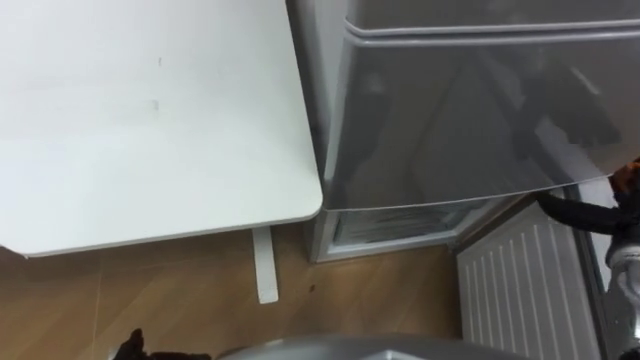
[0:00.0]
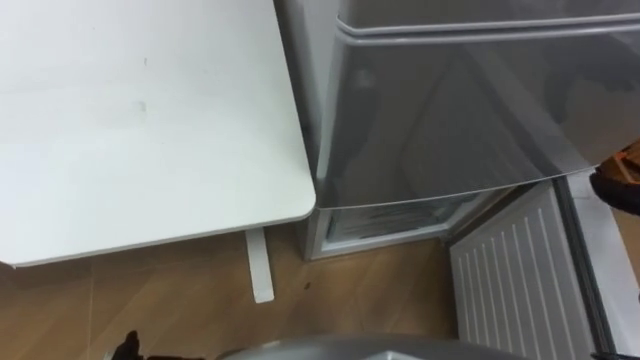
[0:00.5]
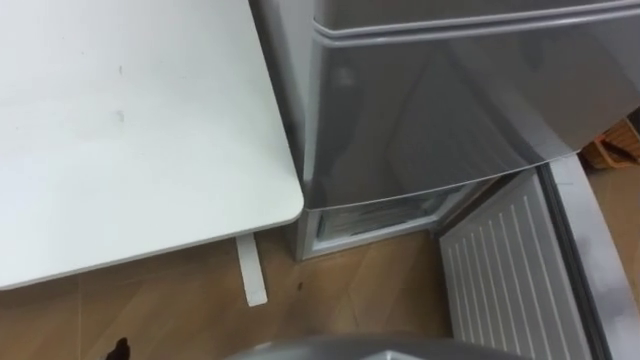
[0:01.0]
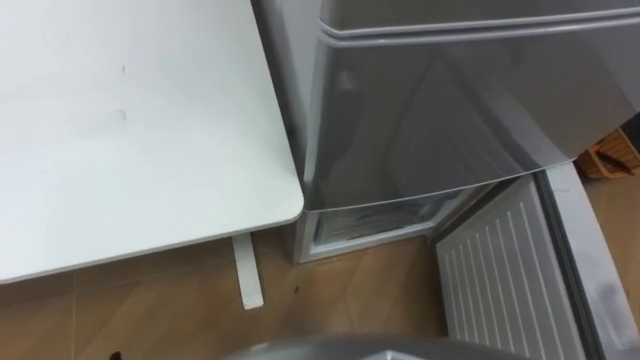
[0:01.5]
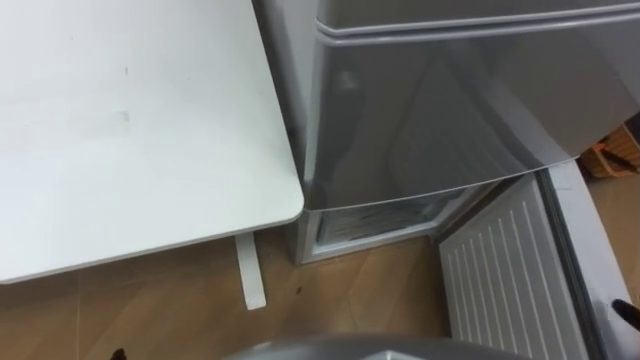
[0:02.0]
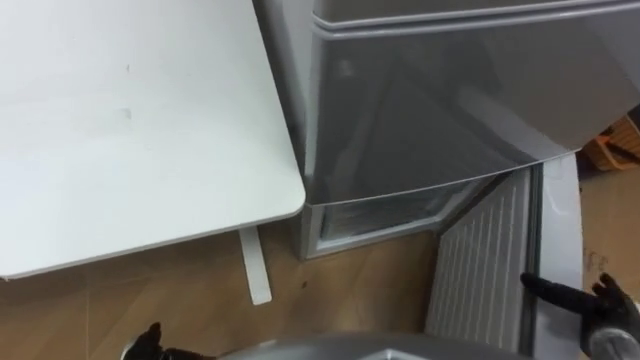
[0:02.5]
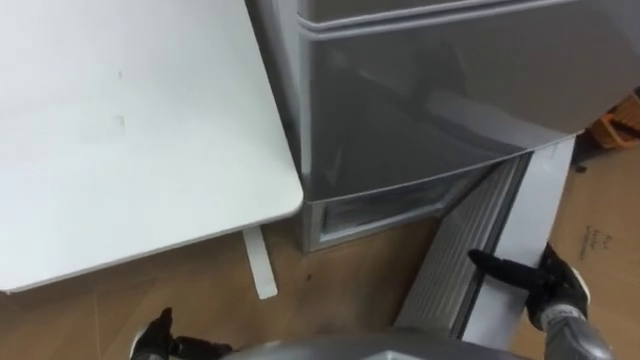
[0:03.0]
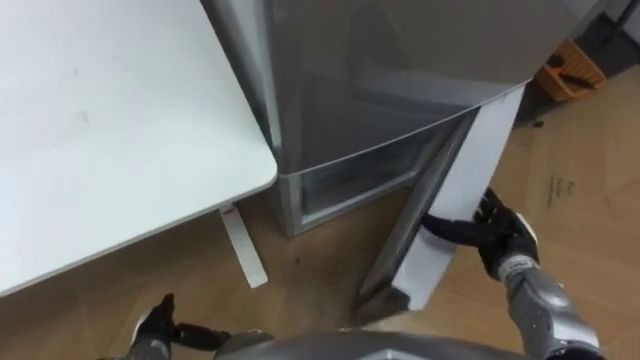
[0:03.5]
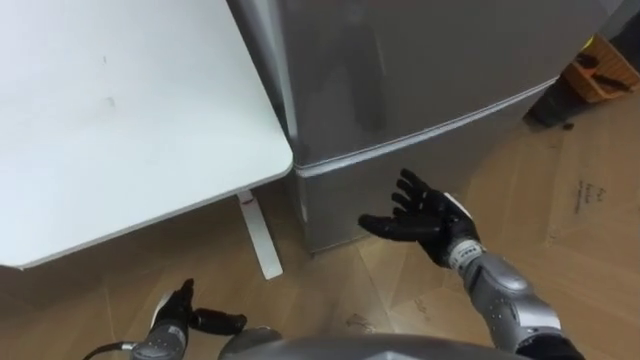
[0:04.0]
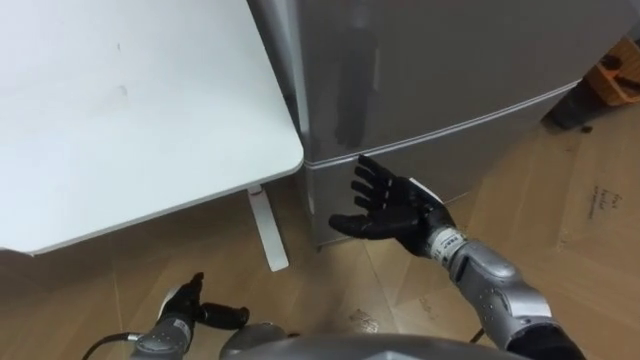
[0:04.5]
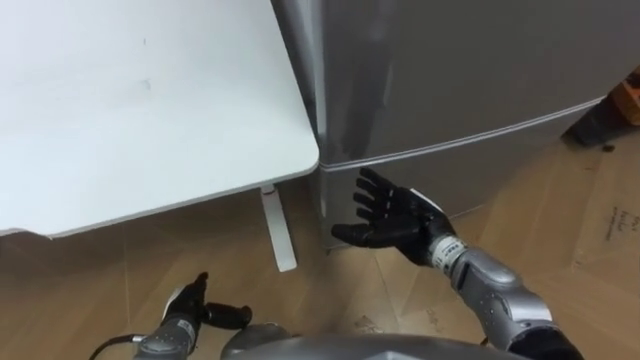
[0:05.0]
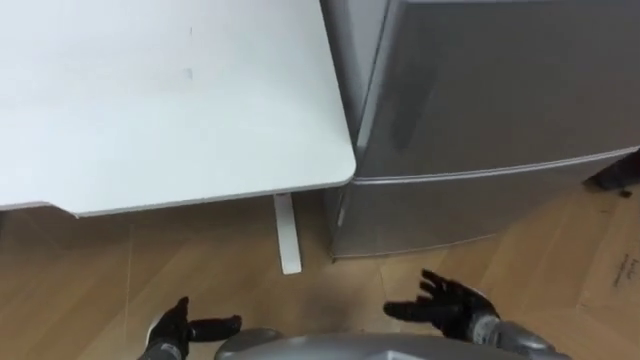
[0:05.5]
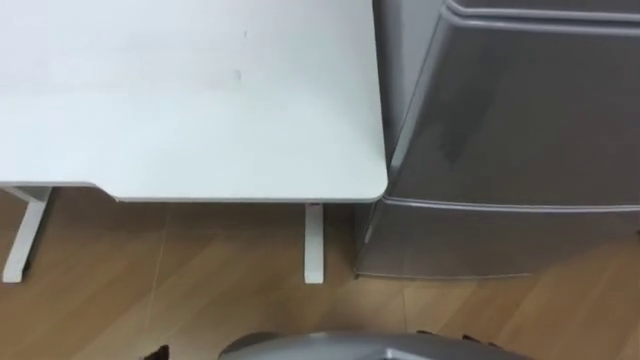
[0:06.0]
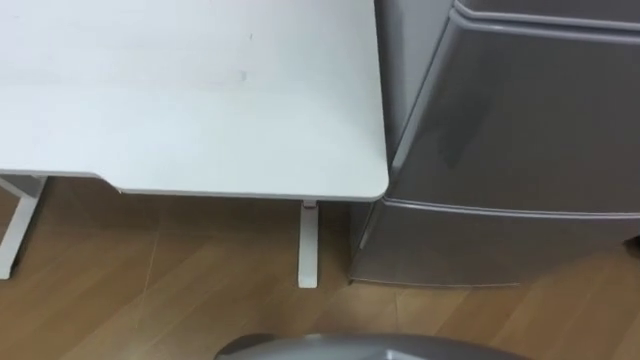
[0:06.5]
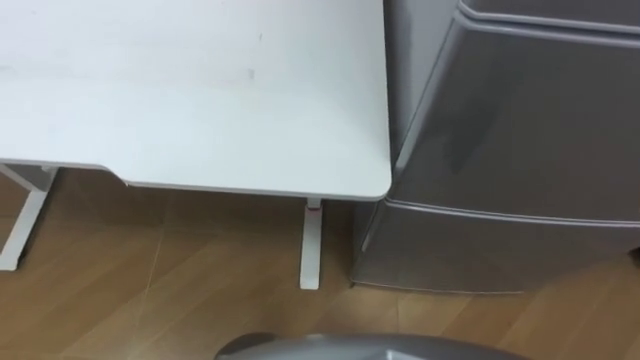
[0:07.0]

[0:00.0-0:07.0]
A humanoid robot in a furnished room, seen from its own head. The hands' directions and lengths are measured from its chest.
Task of the whole recording: Place the drink on the table on the bottom shelf of the refrigerator, then close the drawer and the refrigerator door.
0:03.5 to 0:05.0: The left hand shifts by roughly 5 cm. The right hand travels to the left by some 15 cm.
0:05.0 to 0:07.0: The robot turns to its left by about 20 degrees.

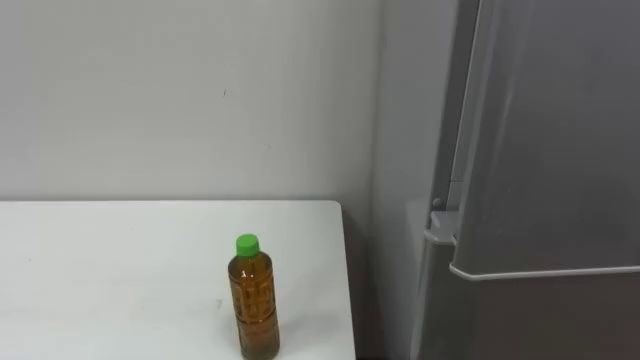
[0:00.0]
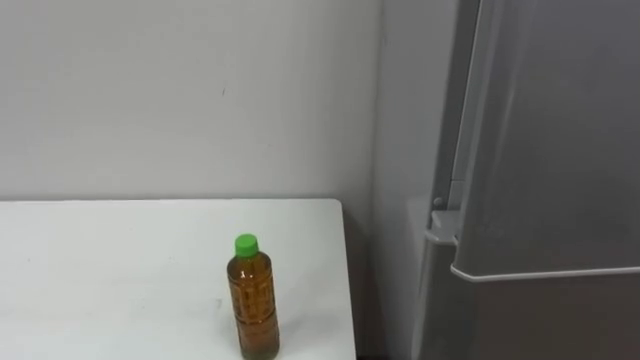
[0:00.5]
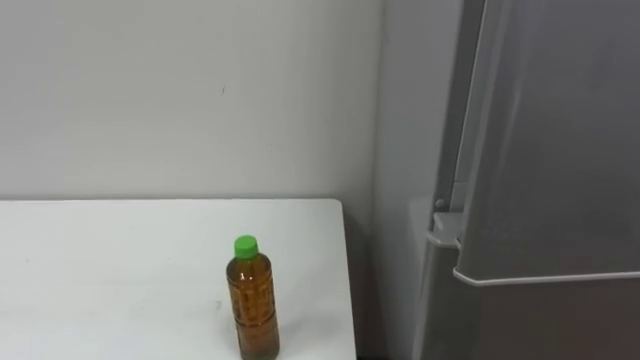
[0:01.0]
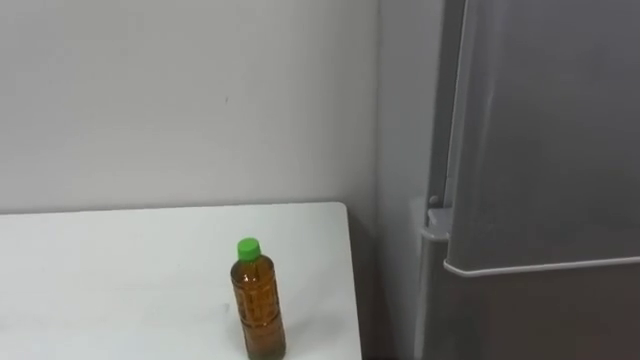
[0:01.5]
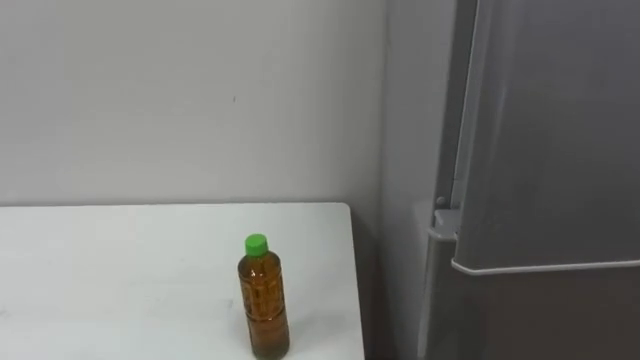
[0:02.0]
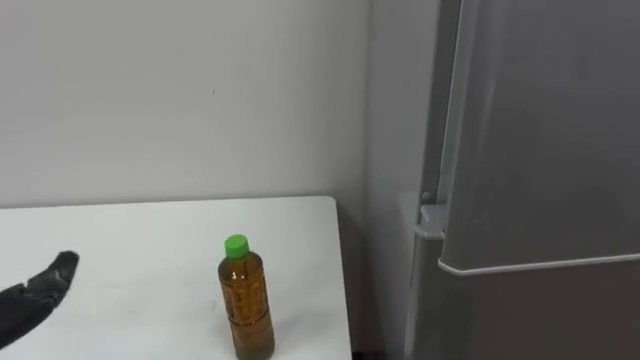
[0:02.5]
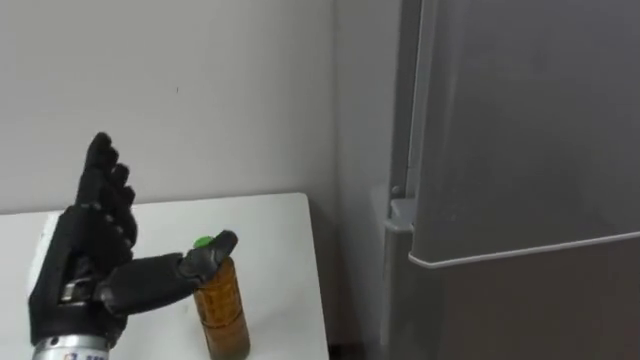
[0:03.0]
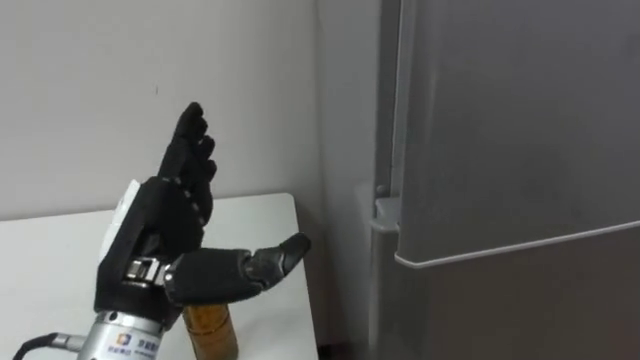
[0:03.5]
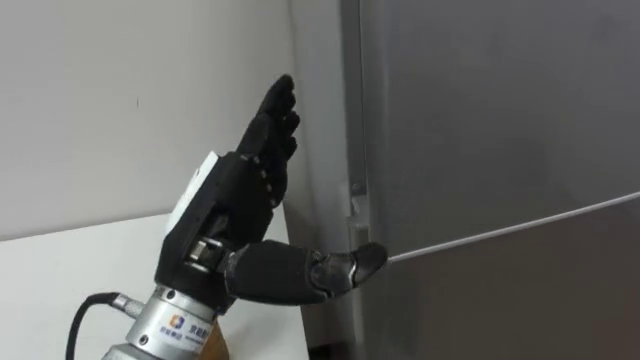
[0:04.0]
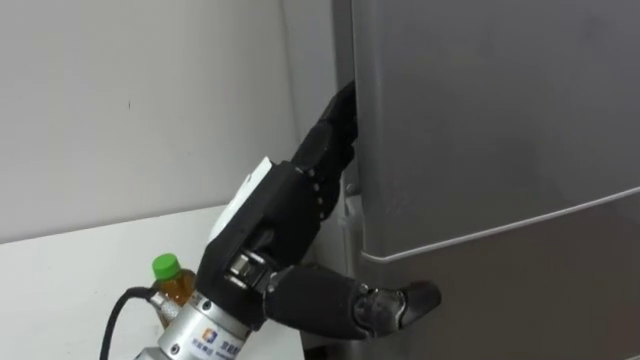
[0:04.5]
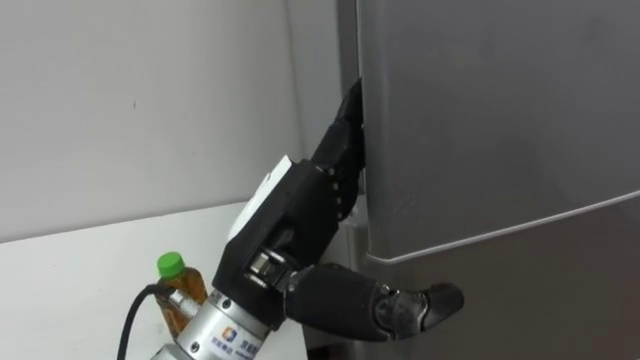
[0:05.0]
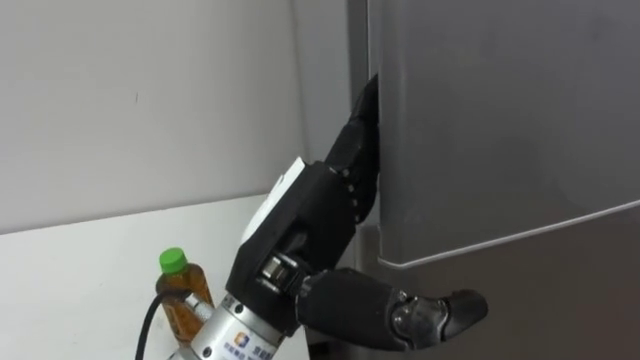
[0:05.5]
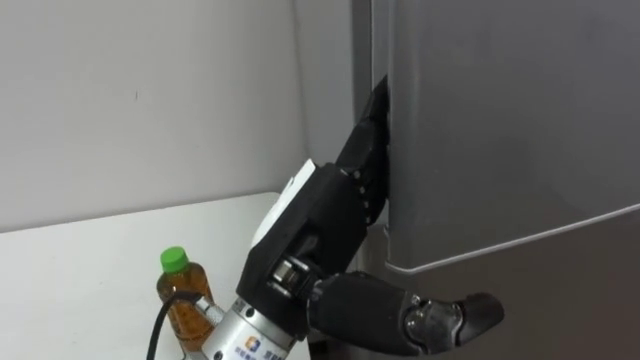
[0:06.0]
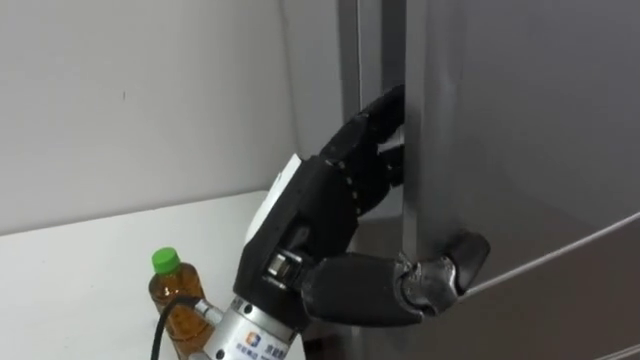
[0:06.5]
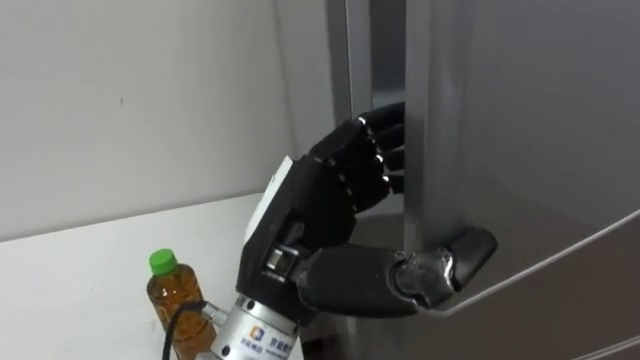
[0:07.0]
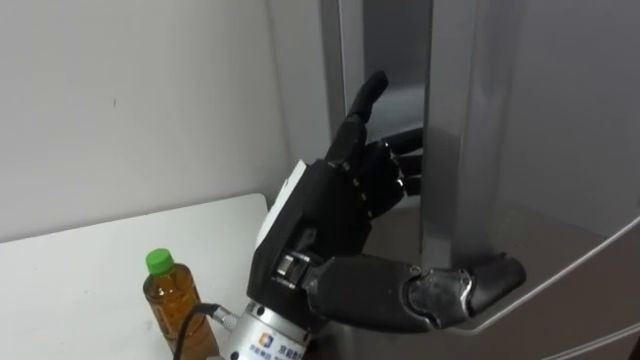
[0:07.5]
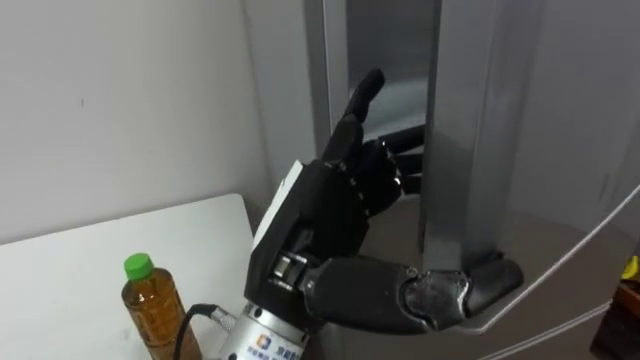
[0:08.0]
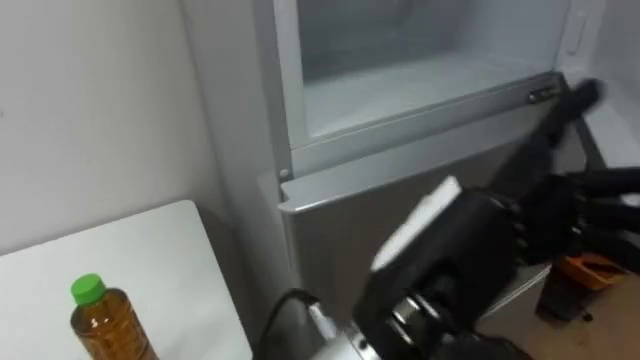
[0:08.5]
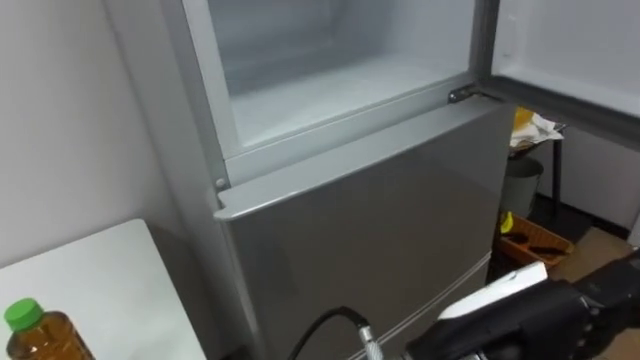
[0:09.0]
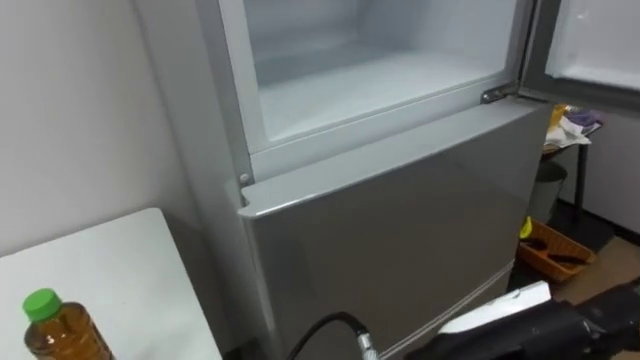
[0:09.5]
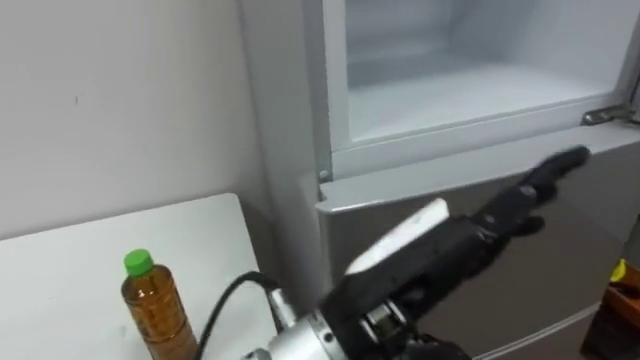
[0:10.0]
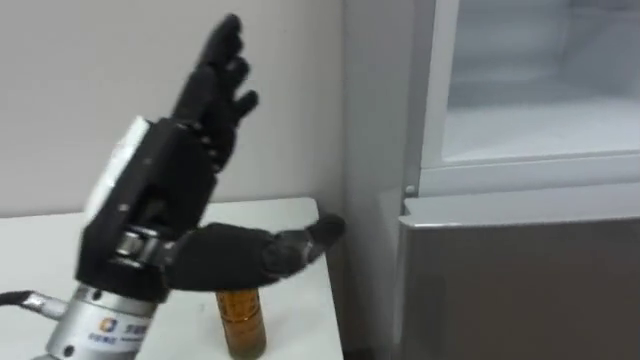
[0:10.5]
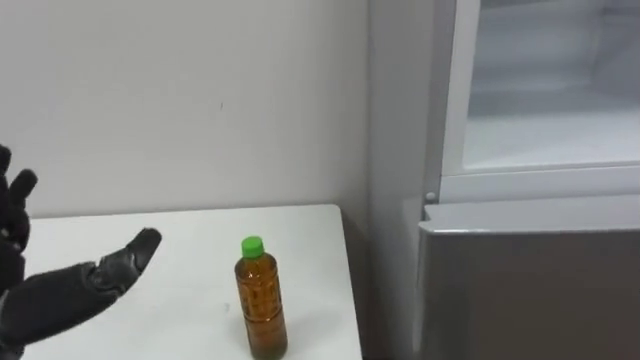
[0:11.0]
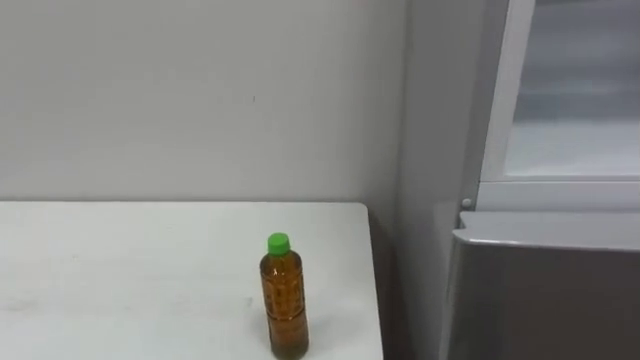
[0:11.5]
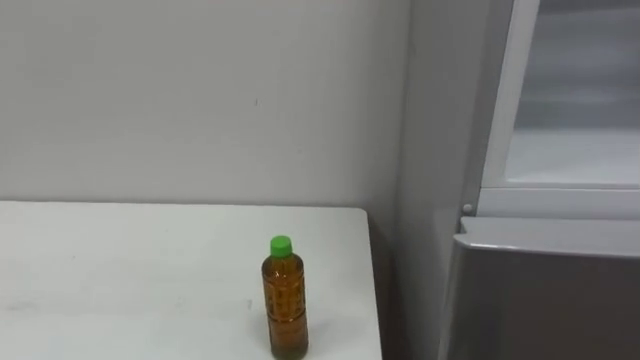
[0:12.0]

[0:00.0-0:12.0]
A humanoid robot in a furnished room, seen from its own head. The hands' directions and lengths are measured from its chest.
Task of the whole recording: Open the upper refrigerator door, put the drink from the table into the refrigerator, and then close the refrigerator door.
0:04.0 to 0:06.0: The left hand moves to the right, some 10 cm.
0:06.0 to 0:08.0: The left hand closes and opens again.
0:08.0 to 0:10.0: The left hand travels to the right by about 5 cm.

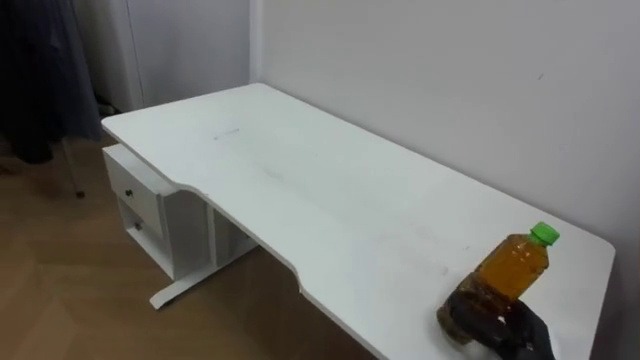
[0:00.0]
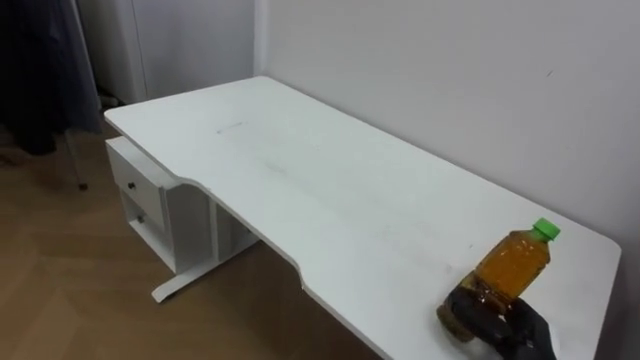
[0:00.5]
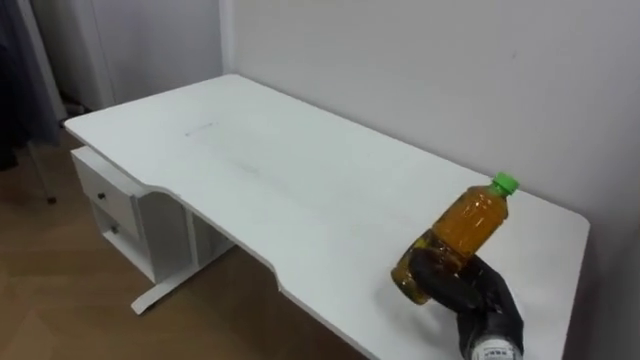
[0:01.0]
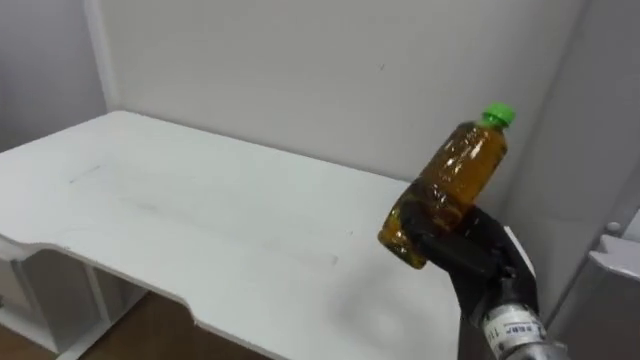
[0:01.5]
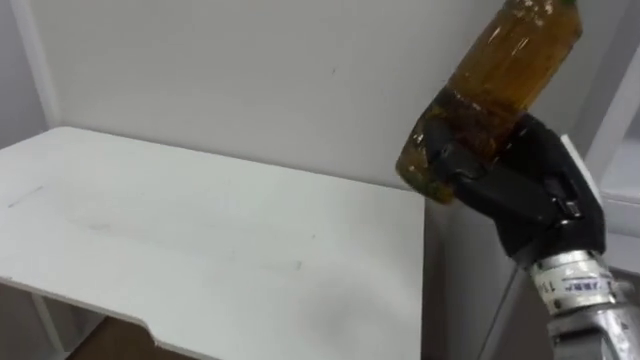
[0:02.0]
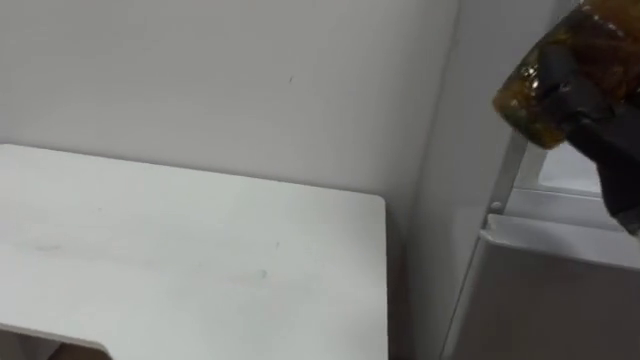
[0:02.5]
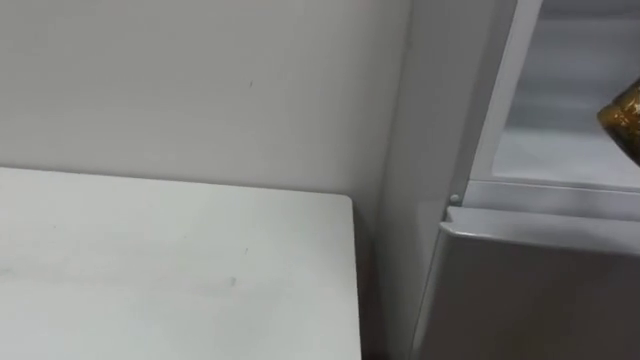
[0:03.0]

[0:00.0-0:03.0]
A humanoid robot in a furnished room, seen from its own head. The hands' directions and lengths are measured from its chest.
Task of the whole recording: Open the upper refrigerator door, put the drink from the table into the refrigerator, and then close the refrigerator door.
0:00.0 to 0:01.5: The right hand goes about 15 cm upward and to the left.
